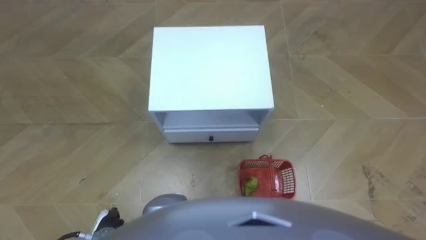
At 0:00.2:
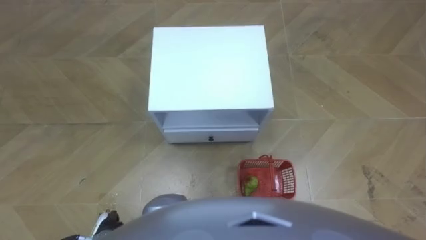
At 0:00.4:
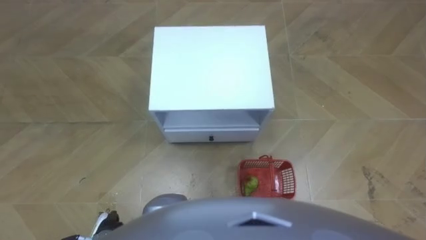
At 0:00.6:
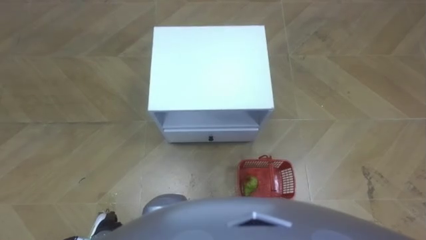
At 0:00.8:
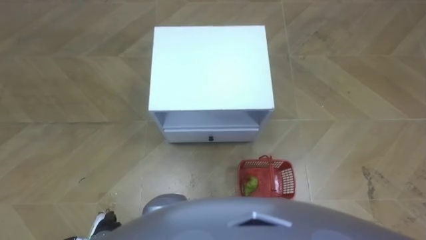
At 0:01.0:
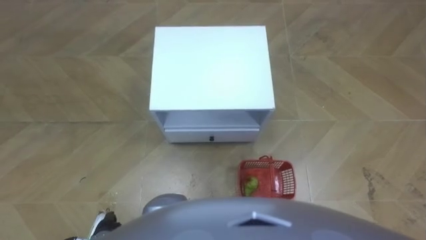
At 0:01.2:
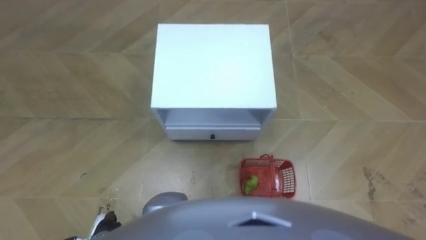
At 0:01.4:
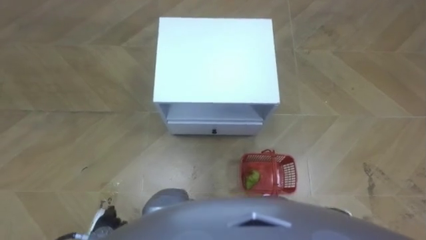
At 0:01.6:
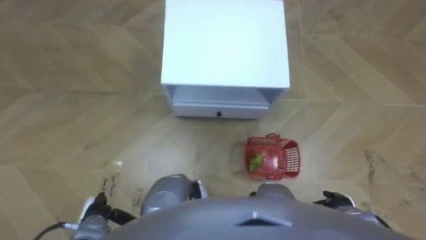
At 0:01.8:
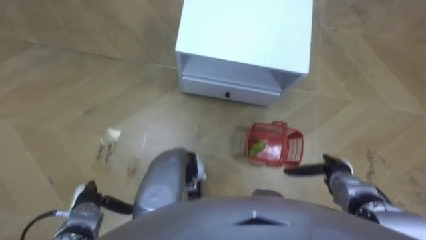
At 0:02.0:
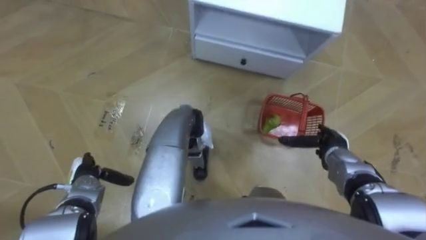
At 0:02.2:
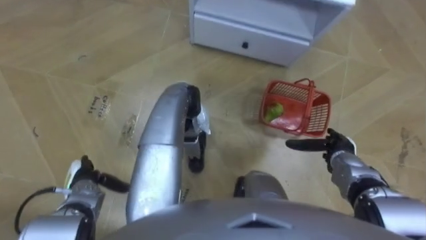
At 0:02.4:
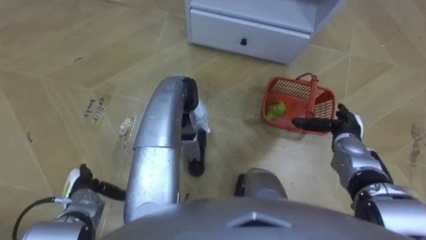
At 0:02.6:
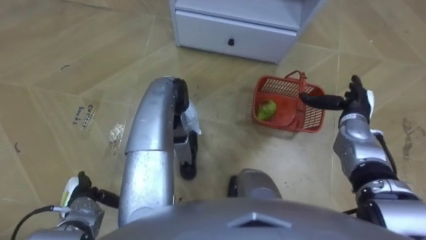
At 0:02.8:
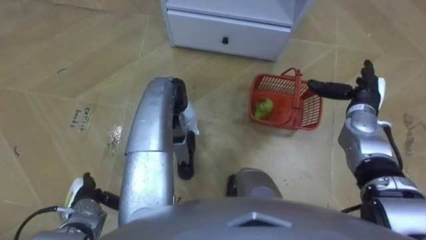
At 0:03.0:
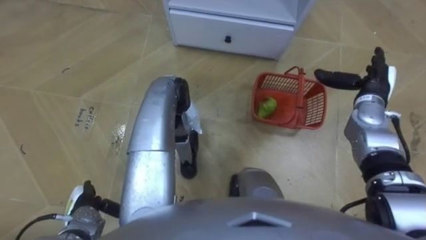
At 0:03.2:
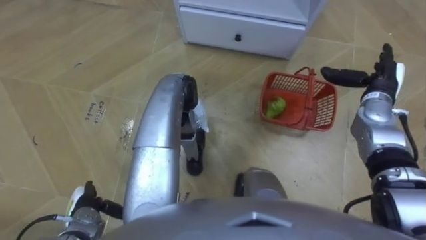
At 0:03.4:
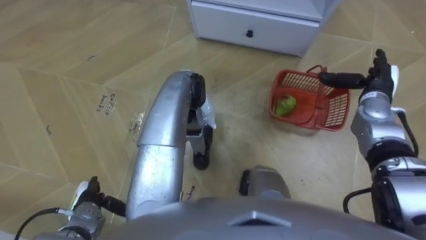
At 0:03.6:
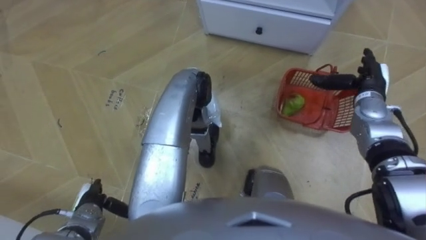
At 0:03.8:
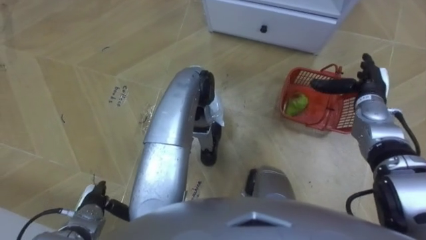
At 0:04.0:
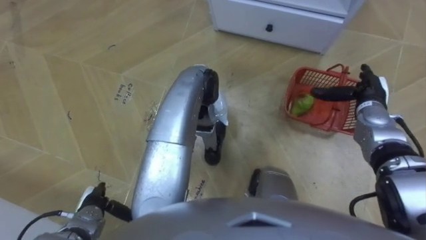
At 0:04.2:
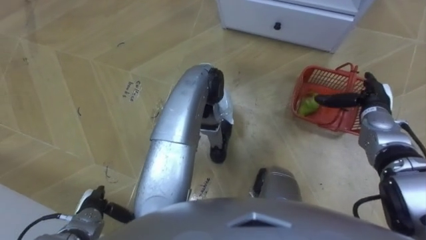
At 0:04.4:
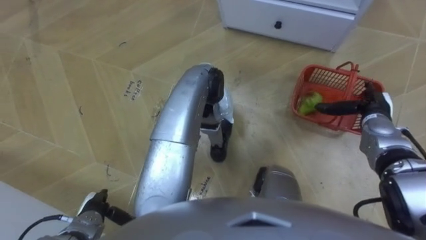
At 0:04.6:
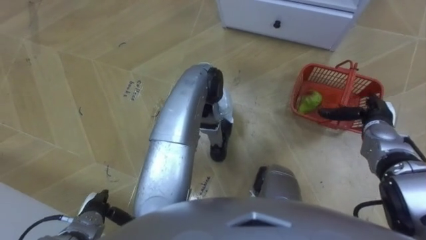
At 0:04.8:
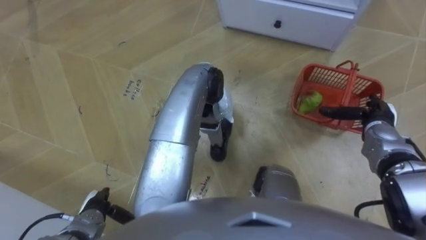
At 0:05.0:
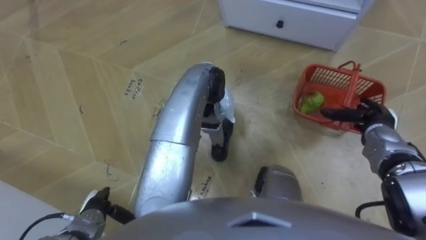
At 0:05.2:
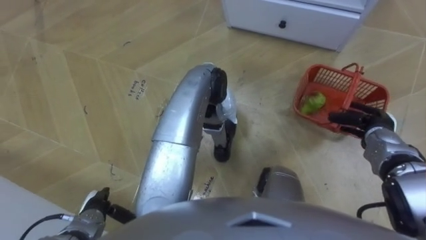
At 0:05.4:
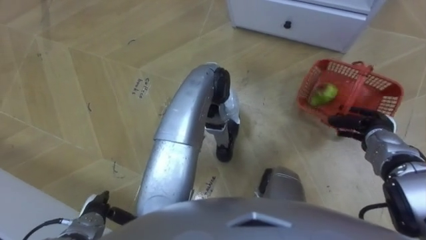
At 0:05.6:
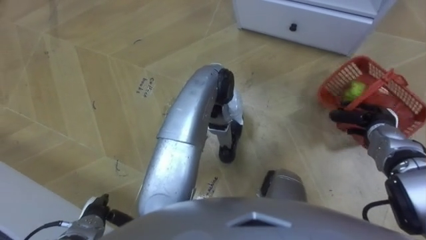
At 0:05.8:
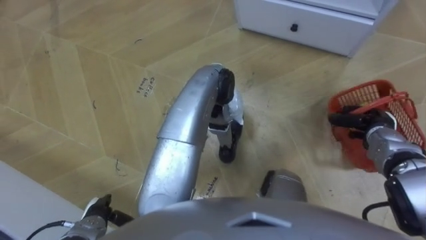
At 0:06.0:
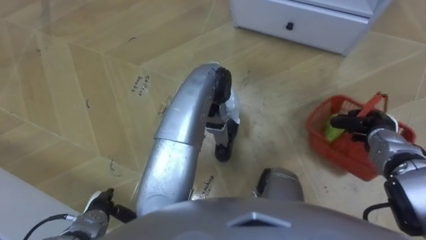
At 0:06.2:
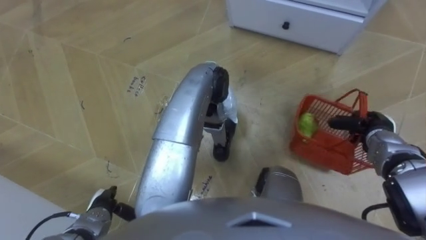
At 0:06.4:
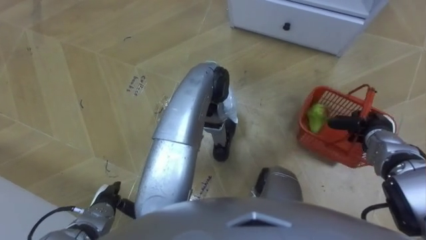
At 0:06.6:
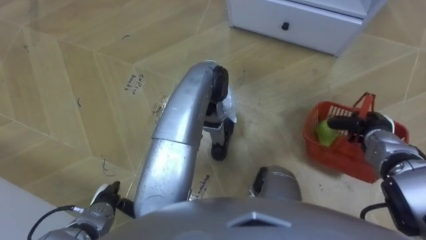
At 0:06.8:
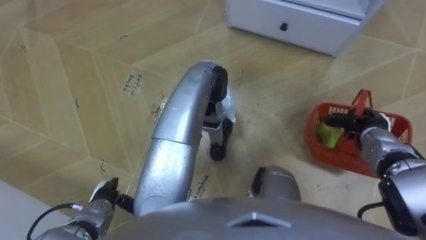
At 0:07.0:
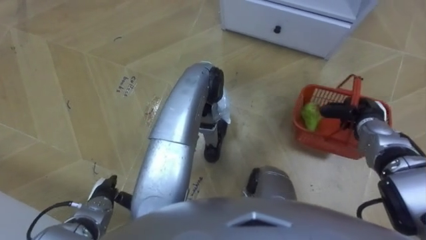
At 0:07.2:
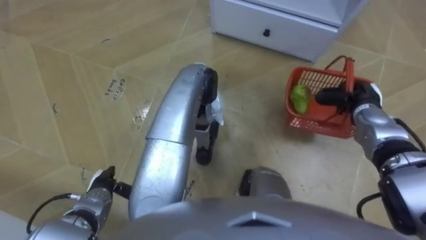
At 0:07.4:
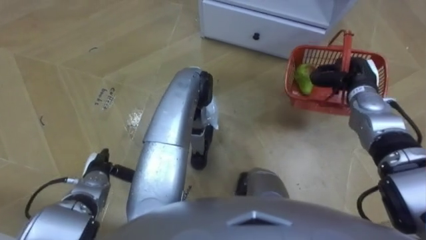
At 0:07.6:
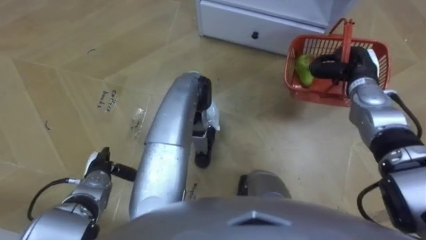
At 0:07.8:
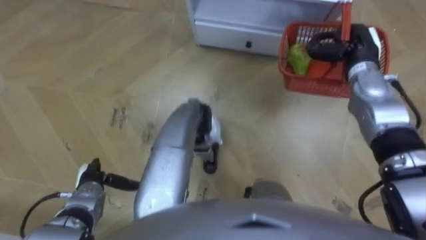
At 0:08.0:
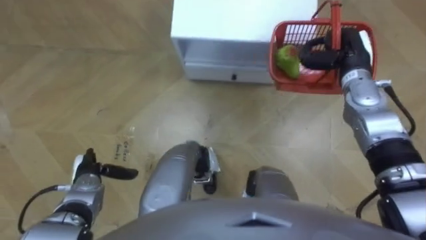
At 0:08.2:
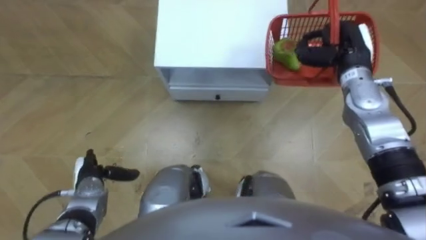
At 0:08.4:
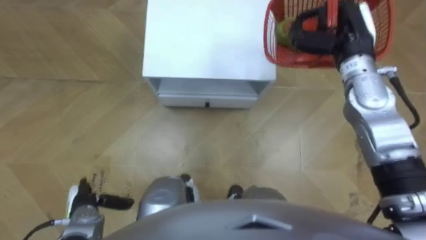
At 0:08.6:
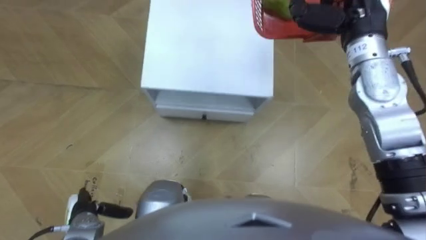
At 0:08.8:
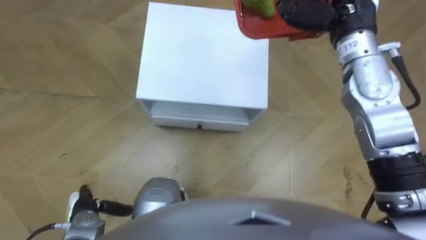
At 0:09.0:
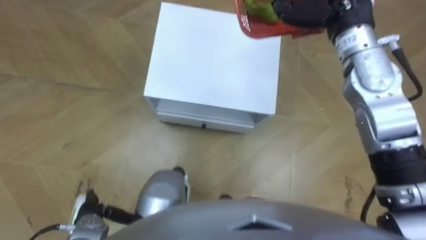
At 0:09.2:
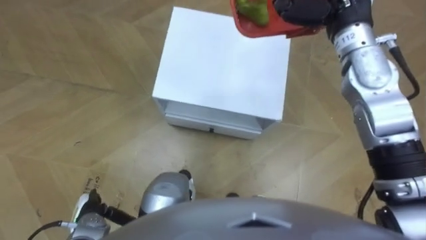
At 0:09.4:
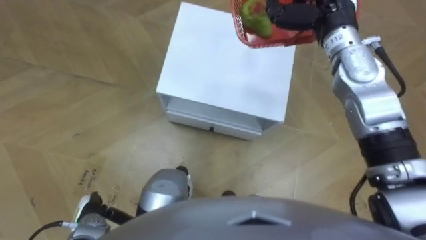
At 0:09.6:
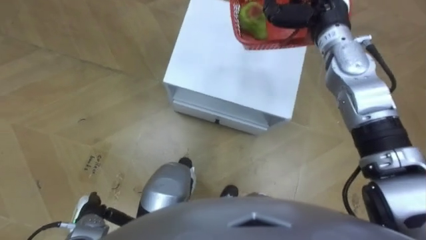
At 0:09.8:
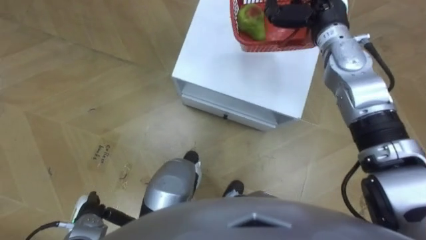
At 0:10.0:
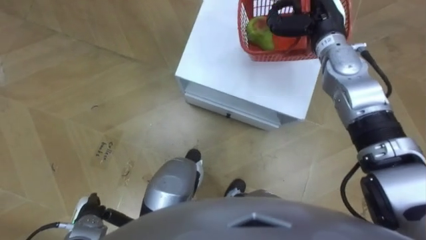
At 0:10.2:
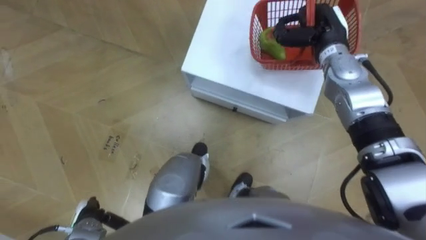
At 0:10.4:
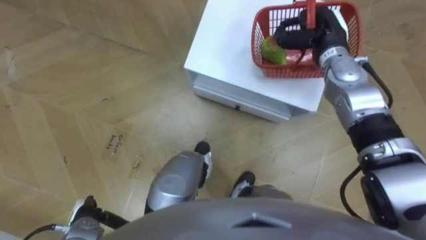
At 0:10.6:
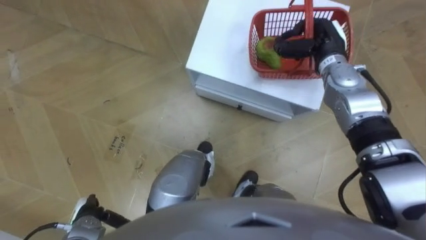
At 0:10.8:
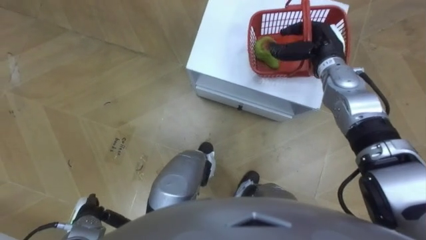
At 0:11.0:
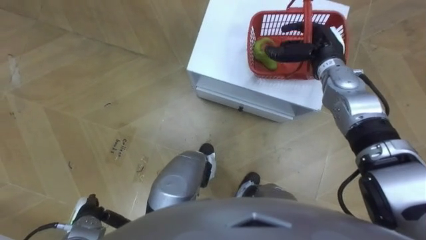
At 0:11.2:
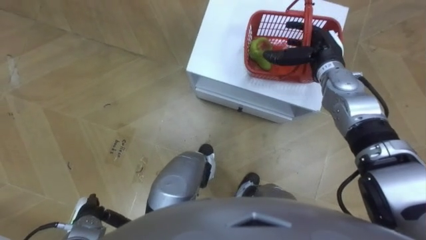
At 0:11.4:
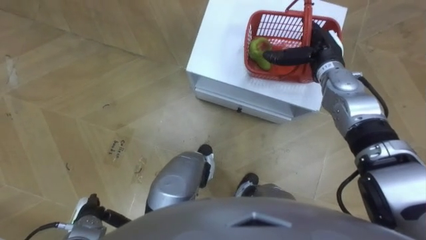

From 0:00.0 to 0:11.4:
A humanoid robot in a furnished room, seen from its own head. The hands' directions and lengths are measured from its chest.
Task of the whole recording: Pick up the fruit basket from the floor and place it on the cabinet.
From 0:01.4 to 0:02.8: The left hand travels forward by some 5 cm; the right hand shifts roughly 30 cm forward and upward.
From 0:04.2 to 0:05.6: The right hand ends up approximately 5 cm from where it was, and closes up.
From 0:05.6 to 0:07.2: The right hand ends up approximately 5 cm from where it was. Meanwhile the left hand shifts roughly 5 cm forward.
From 0:07.2 to 0:08.6: The right hand goes approximately 25 cm upward and to the left. Meanwhile the left hand goes some 5 cm backward.
From 0:08.6 to 0:10.0: The right hand goes some 5 cm downward.
From 0:10.0 to 0:11.4: The right hand goes some 5 cm downward, and opens its fingers.

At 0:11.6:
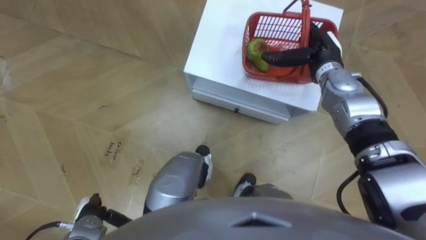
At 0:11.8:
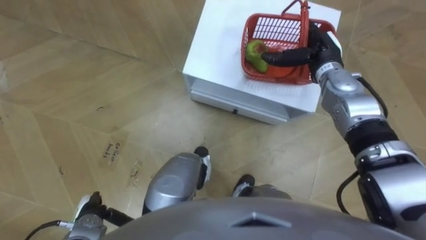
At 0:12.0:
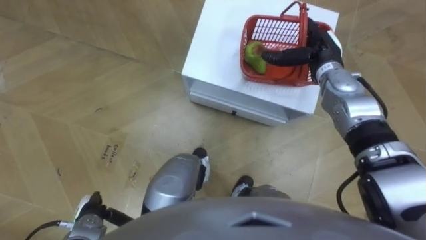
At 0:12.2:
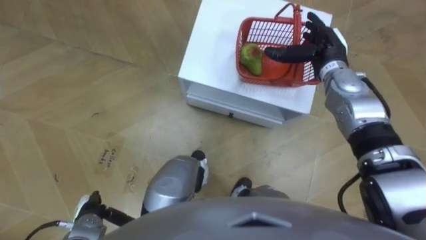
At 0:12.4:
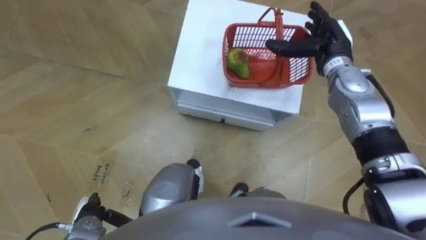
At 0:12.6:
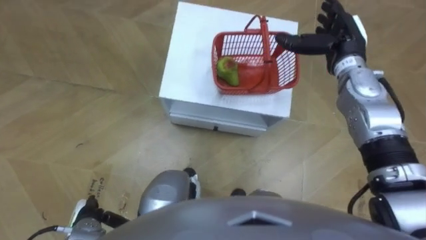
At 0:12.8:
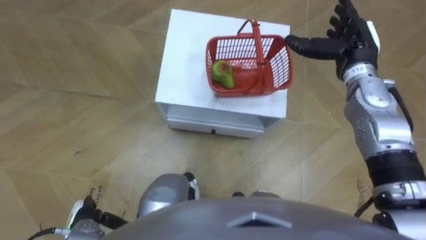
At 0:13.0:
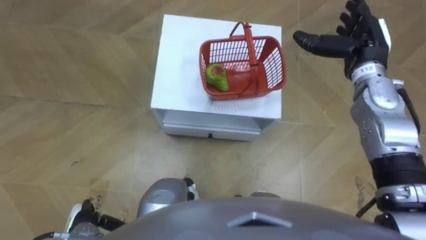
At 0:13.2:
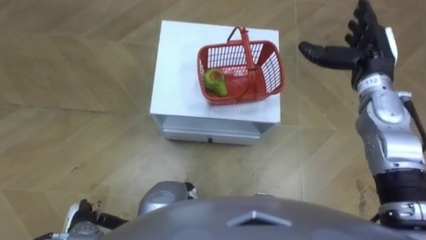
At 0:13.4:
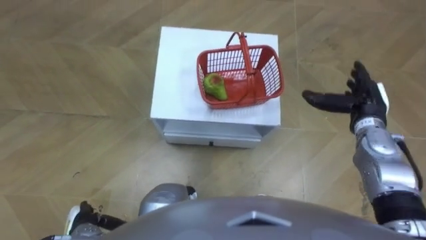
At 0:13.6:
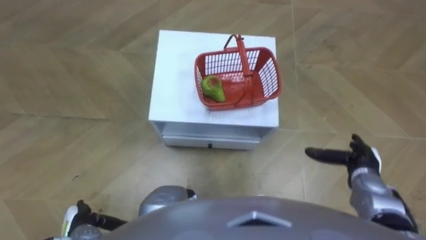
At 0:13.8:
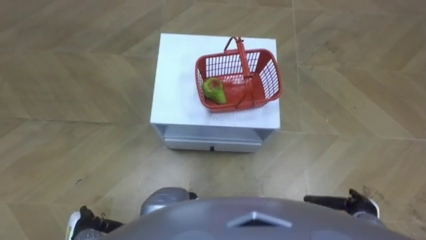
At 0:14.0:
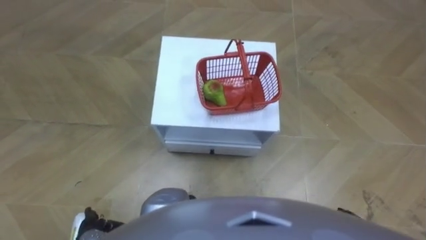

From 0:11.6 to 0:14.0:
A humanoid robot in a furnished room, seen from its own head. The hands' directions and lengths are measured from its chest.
Task of the whole recording: Pick up the fruit basket from the floor and place it on the cabinet.
From 0:11.6 to 0:12.8: The right hand moves upward, some 5 cm.
From 0:12.8 to 0:14.0: The right hand heads backward and downward, covering about 40 cm.

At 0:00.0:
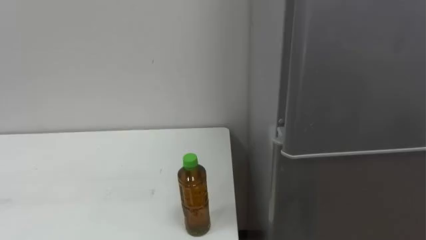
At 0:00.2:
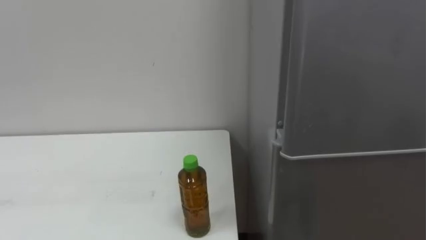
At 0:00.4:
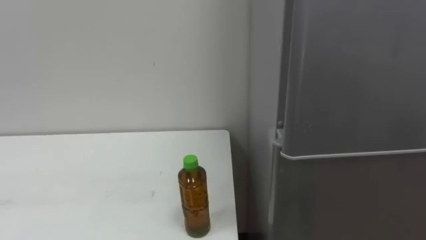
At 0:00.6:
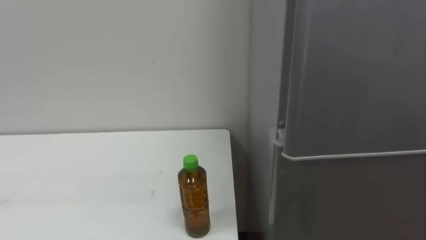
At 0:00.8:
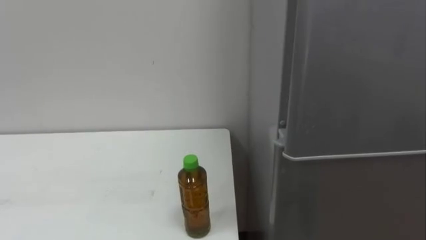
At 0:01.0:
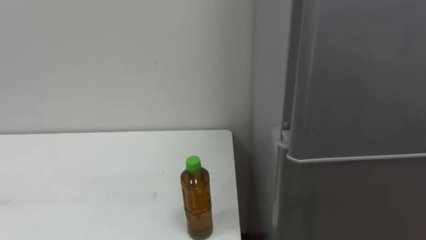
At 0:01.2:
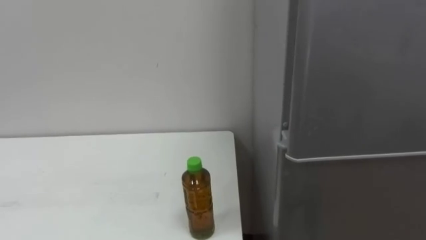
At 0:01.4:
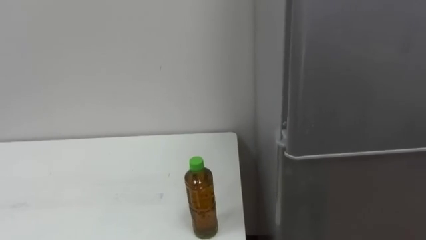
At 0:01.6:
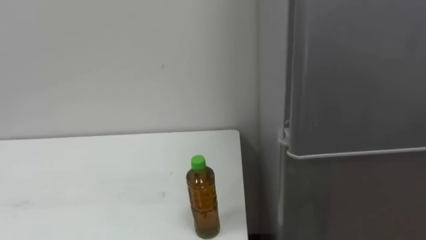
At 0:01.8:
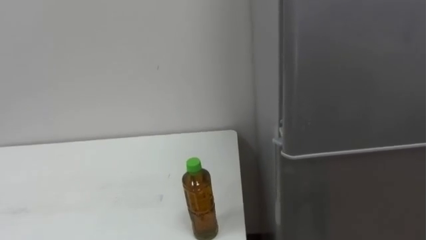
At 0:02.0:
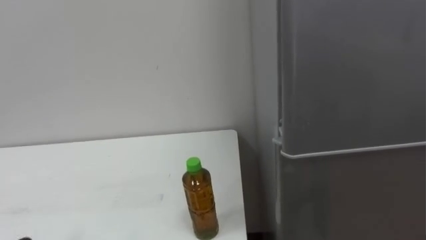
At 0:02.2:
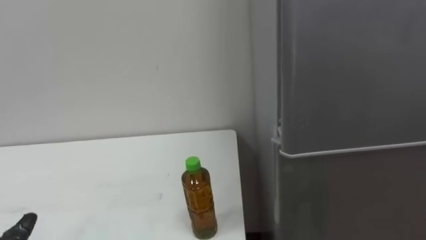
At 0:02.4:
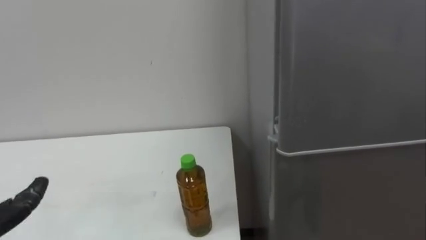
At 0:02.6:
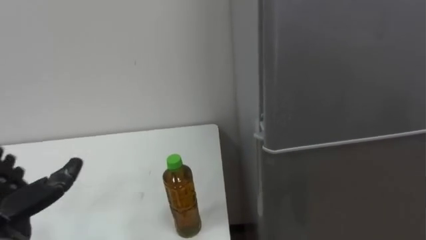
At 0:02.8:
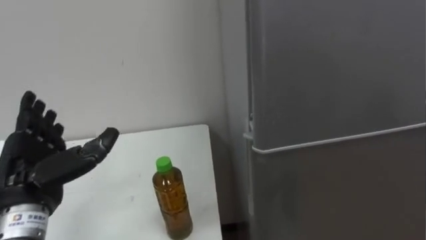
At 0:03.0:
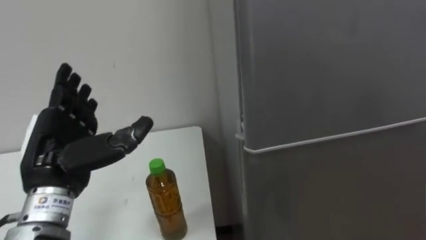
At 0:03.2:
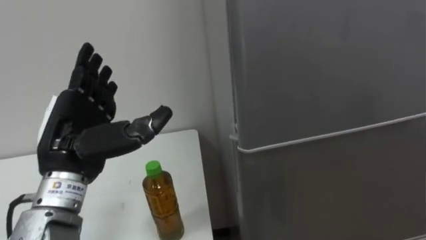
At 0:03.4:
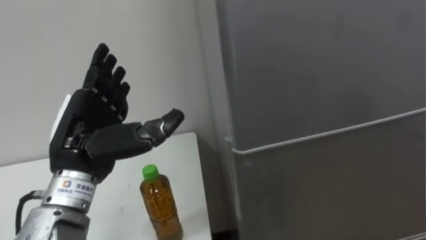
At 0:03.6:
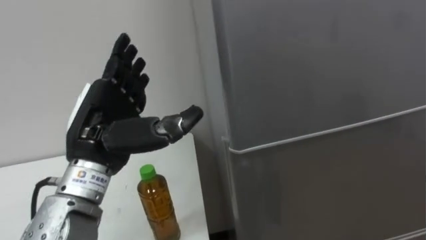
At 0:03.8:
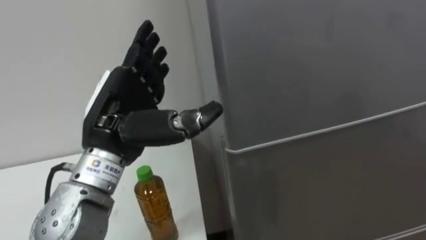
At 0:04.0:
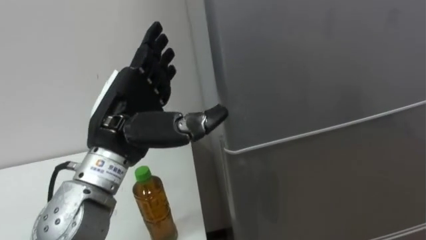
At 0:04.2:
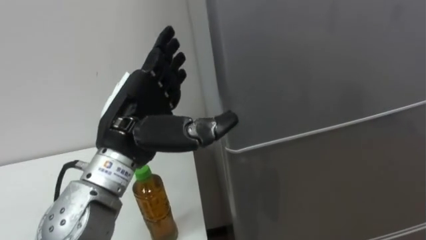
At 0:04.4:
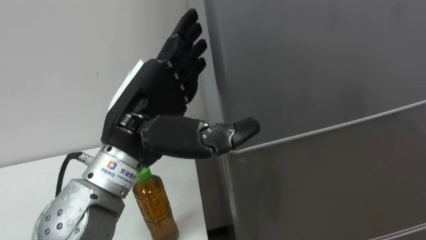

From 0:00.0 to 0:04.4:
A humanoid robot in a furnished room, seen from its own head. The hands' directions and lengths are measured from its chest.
Task of the whole recording: Open the upper refrigerator door, put the drink from the table into the refrigerator, and then close the refrigerator door.
From 0:03.0 to 0:04.4: The left hand is displaced to the right and upward by some 15 cm.
